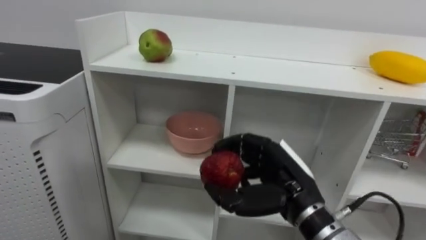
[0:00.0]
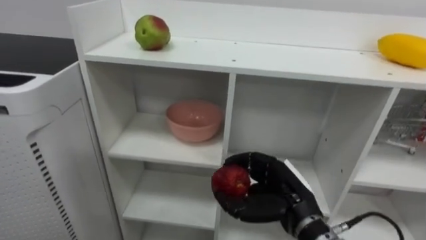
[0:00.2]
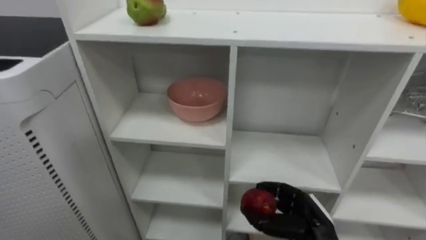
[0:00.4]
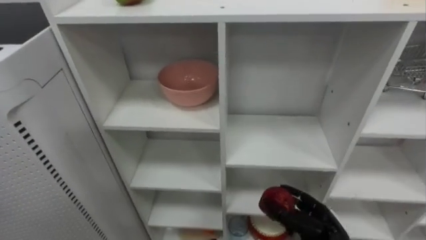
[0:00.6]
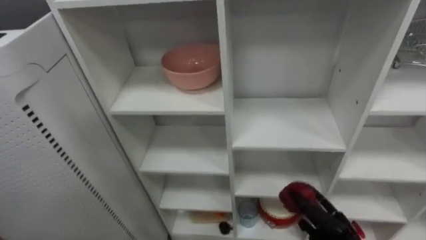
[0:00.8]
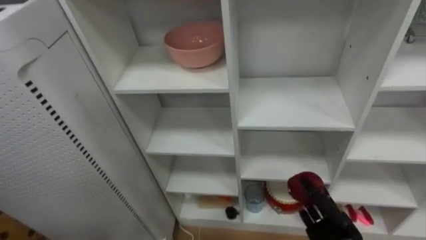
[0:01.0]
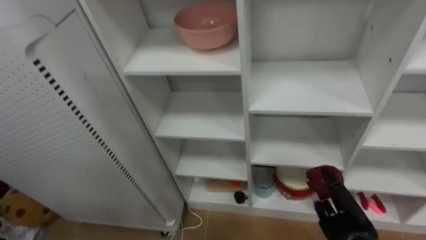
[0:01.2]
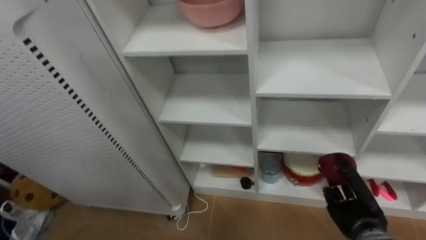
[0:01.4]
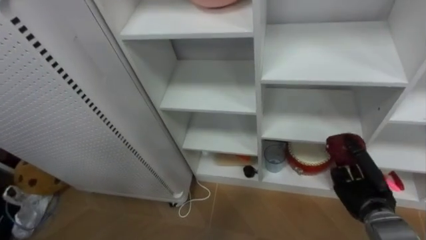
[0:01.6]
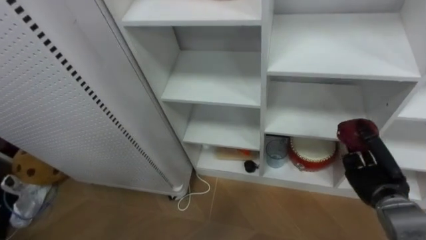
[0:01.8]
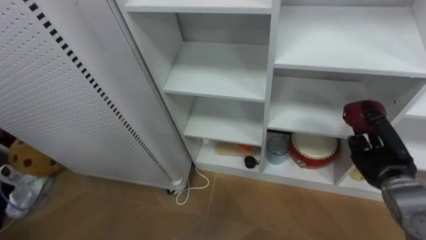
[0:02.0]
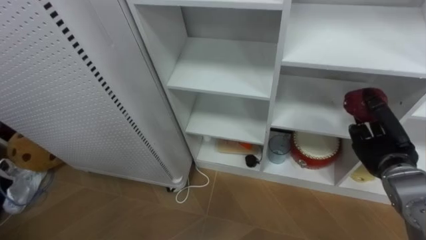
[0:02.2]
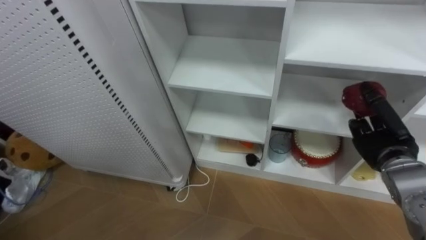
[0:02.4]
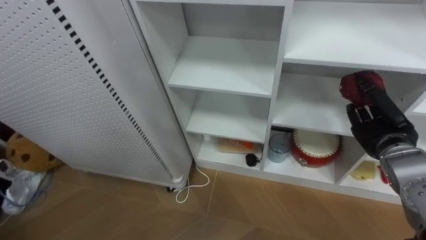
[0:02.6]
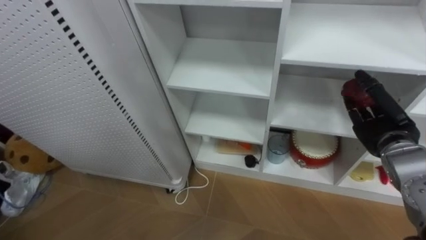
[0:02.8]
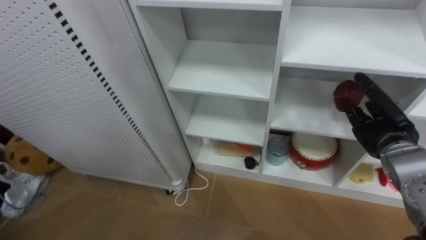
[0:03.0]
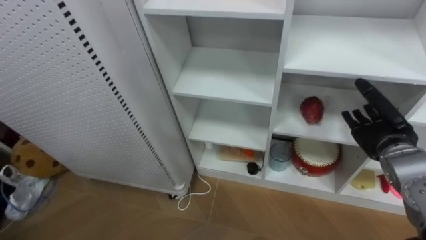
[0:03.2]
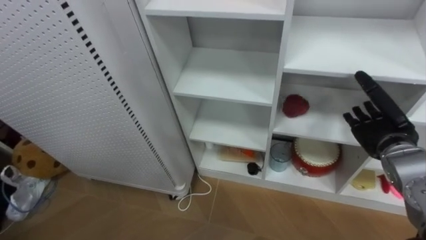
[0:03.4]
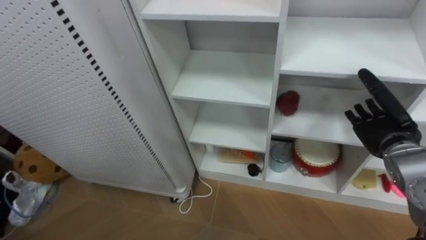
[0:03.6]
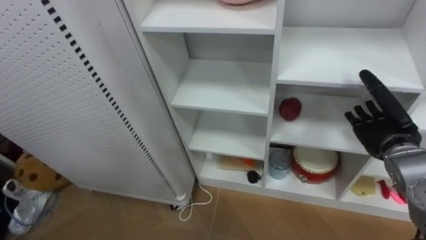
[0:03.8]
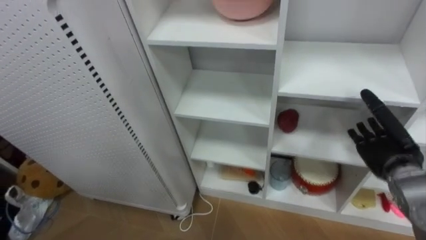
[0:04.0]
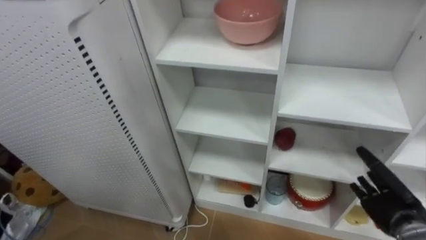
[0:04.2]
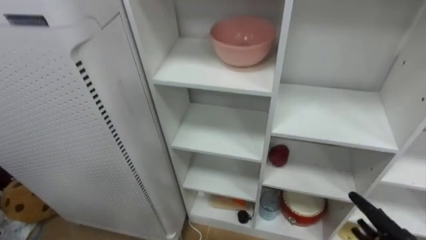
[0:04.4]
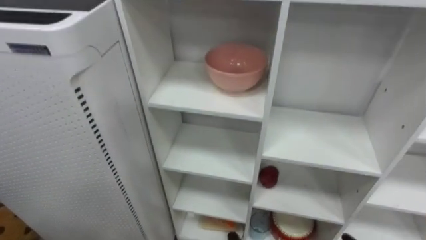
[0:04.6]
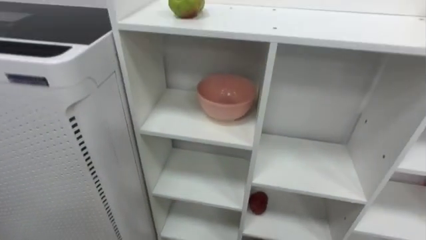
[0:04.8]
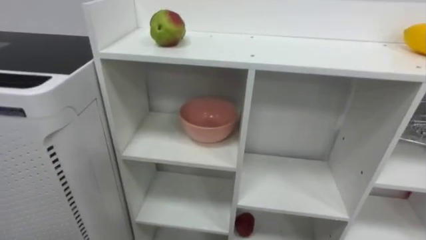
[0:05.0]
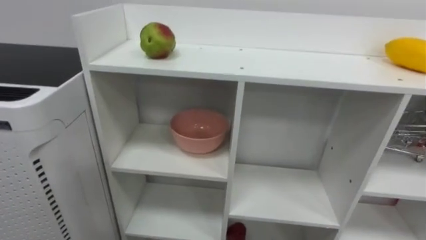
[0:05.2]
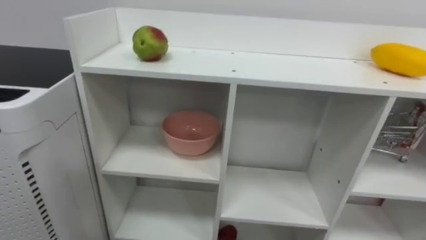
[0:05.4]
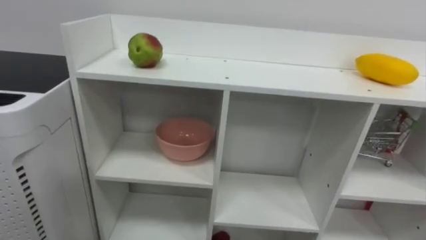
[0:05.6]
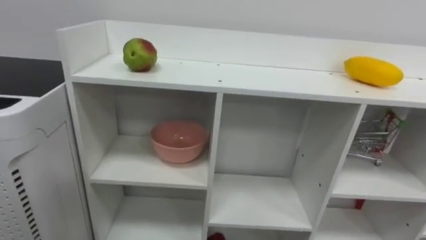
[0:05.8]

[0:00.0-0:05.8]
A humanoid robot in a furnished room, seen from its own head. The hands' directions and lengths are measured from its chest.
Task of the whole recording: Put the apple in the cell in the second column from the left and the second row from the top.
0:00.0 to 0:01.4: The right hand moves to the right and downward, some 20 cm.
0:01.4 to 0:02.8: The right hand is displaced upward by about 15 cm, and opens its fingers.

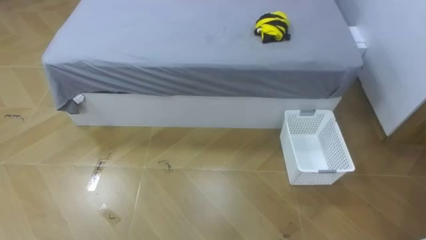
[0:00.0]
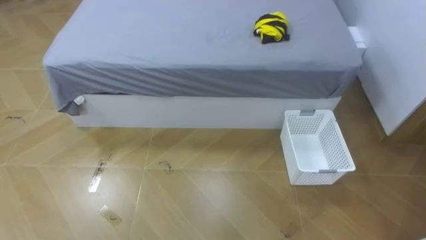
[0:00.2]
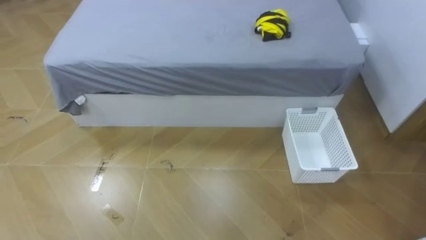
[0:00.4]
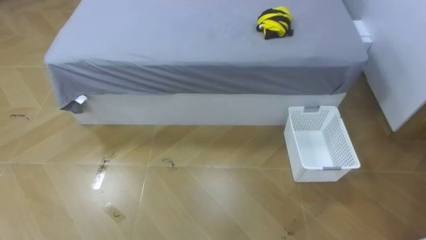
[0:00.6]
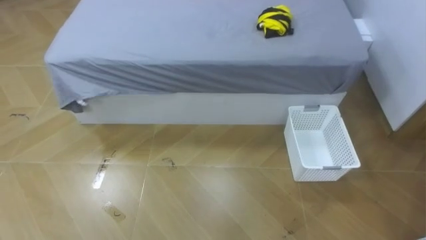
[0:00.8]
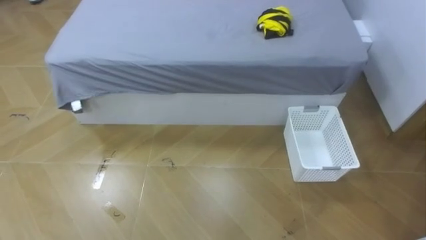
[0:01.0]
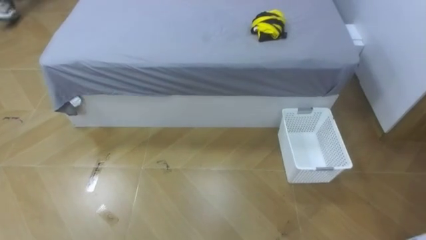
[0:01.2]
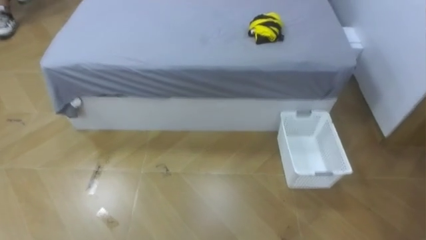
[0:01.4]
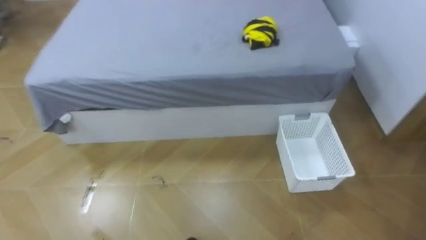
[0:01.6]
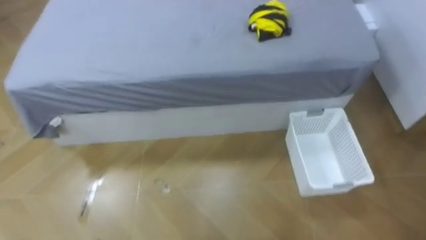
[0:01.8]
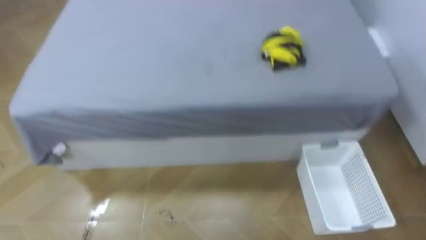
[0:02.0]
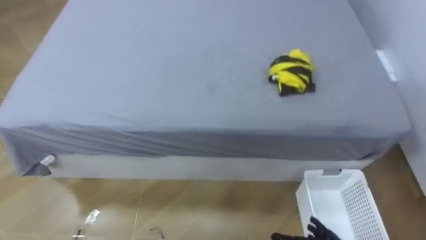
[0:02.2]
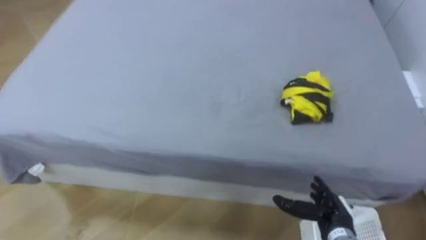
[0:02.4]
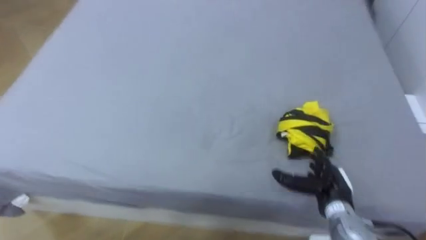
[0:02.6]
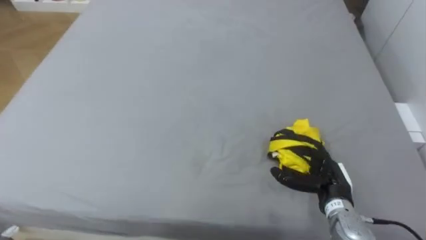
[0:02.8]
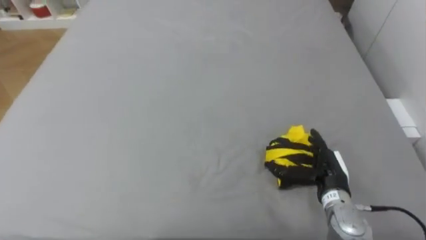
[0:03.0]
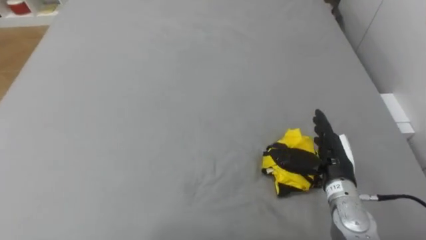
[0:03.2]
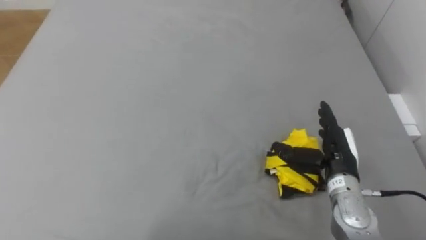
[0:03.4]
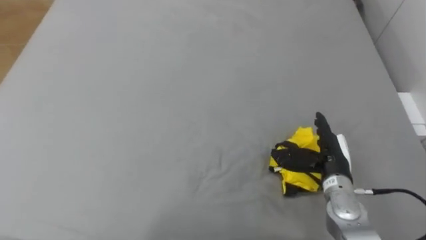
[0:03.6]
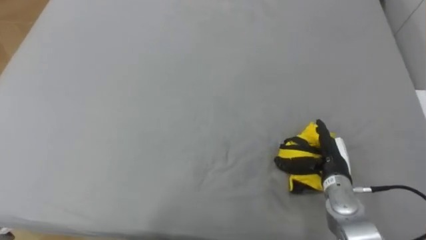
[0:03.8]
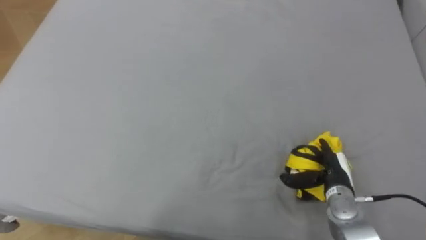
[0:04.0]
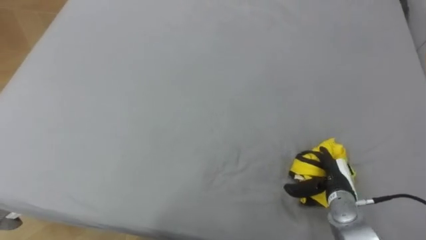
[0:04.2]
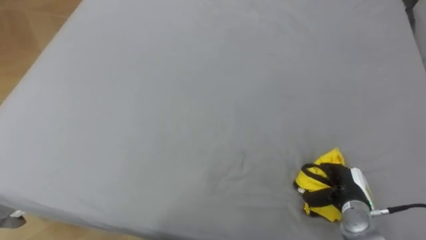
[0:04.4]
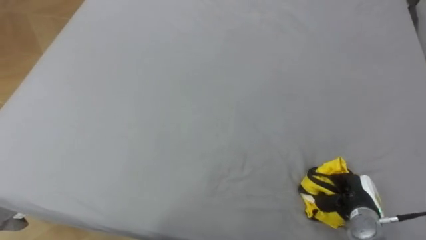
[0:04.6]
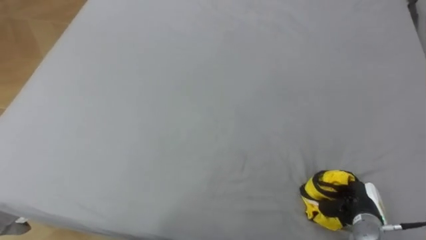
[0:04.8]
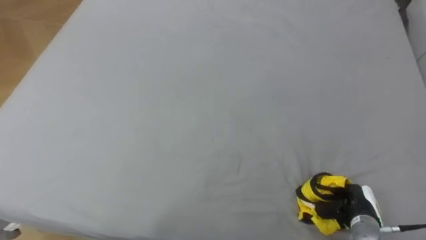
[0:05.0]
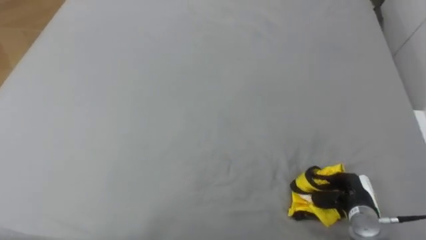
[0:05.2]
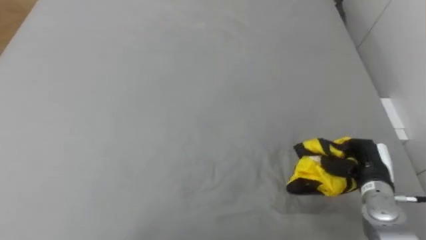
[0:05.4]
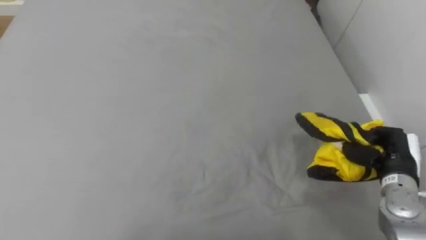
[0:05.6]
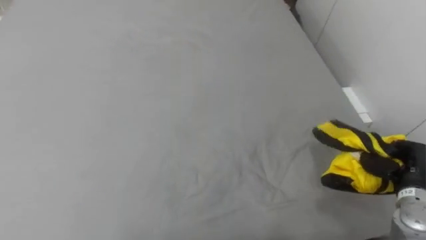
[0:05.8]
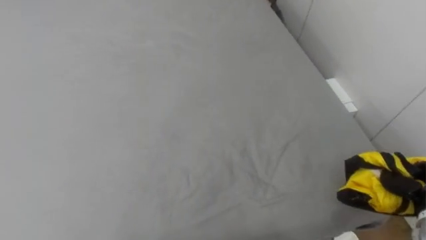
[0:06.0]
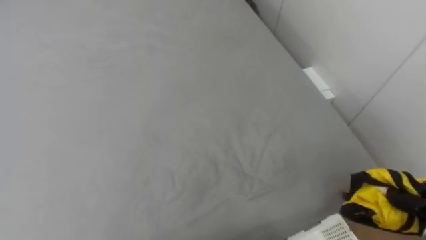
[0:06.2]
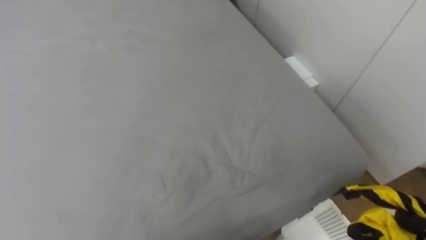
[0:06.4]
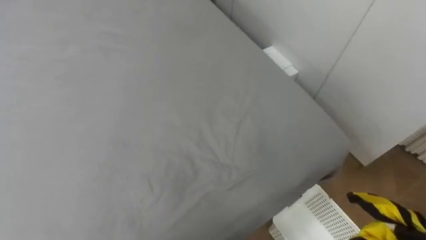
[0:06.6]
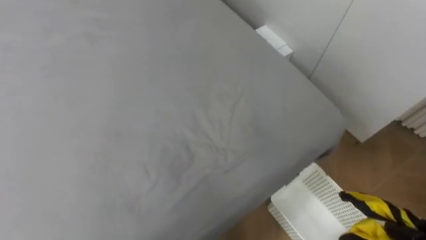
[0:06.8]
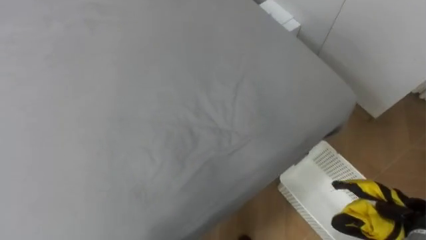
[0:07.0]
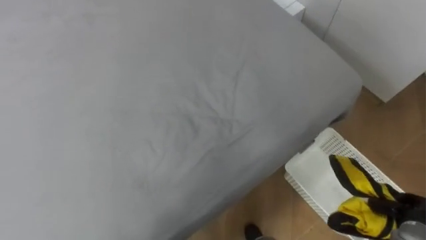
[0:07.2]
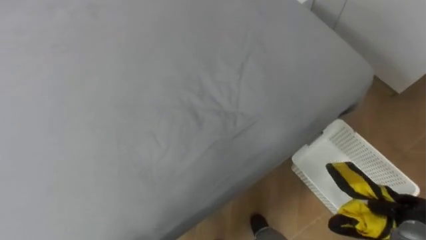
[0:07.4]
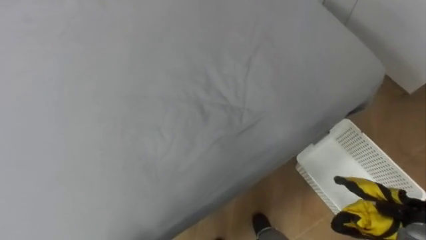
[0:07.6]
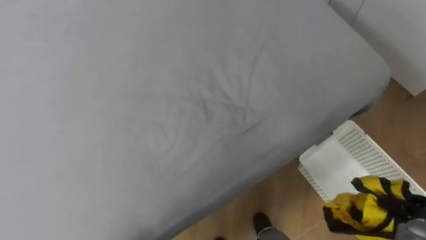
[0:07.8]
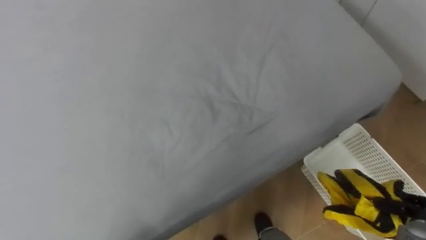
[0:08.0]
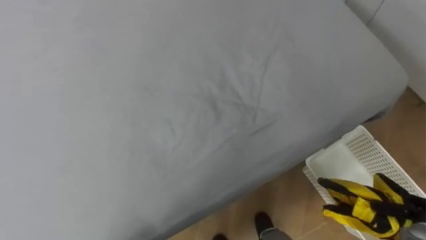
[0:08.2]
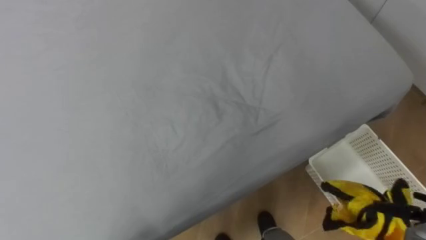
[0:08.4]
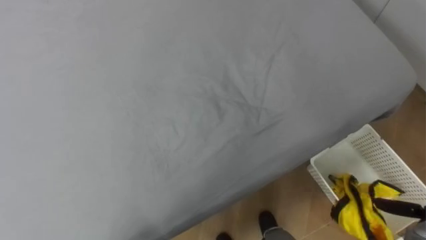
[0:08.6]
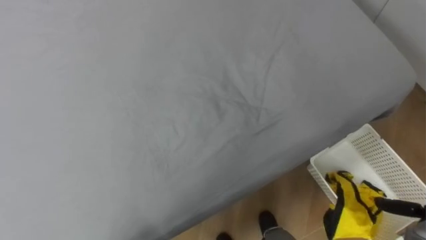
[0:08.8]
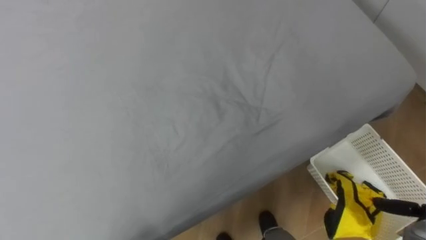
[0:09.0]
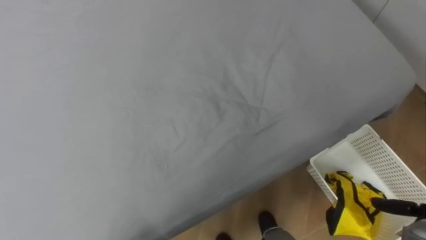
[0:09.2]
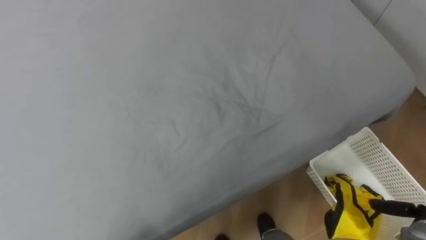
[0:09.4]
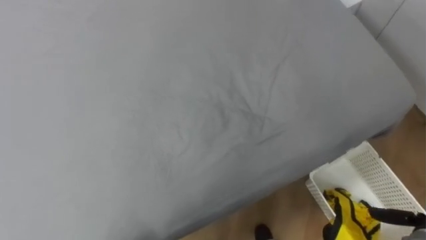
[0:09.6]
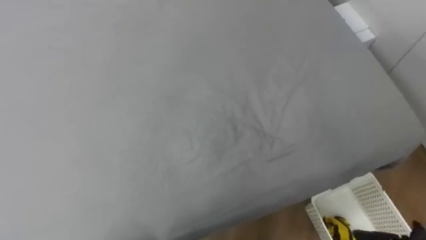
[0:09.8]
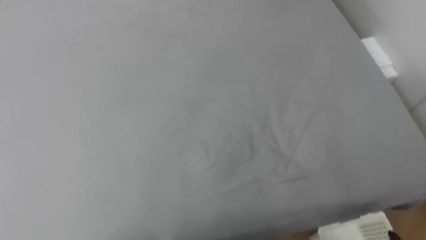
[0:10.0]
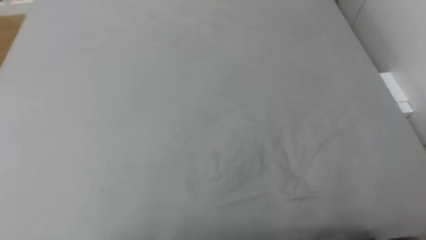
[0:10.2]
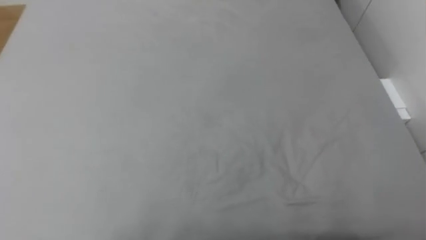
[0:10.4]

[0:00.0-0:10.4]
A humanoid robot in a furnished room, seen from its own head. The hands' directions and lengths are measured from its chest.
Task of the whole recording: Pick up the yellow clothes on the bed and place them into the white basket on the right.
0:03.0 to 0:04.4: The right hand travels downward and to the right by roughly 10 cm.
0:07.4 to 0:09.0: The right hand opens up.
0:09.0 to 0:10.4: The robot's body swings about 15 degrees to its left.
